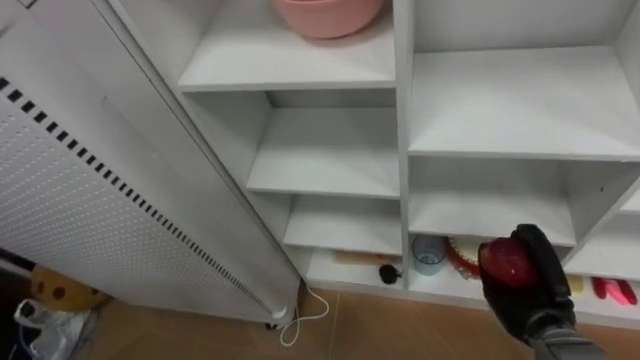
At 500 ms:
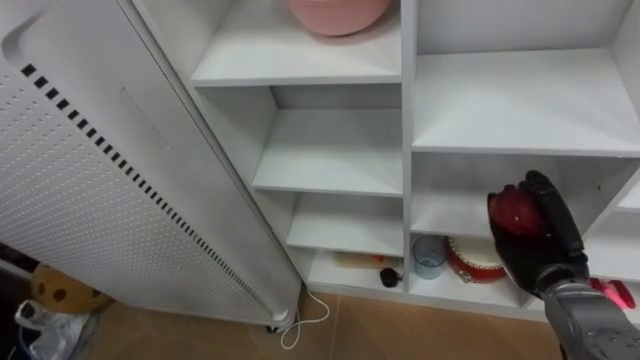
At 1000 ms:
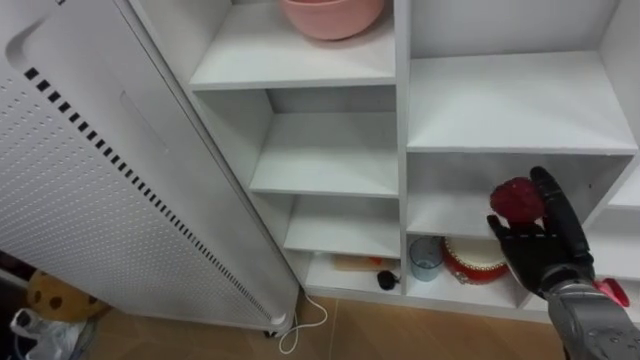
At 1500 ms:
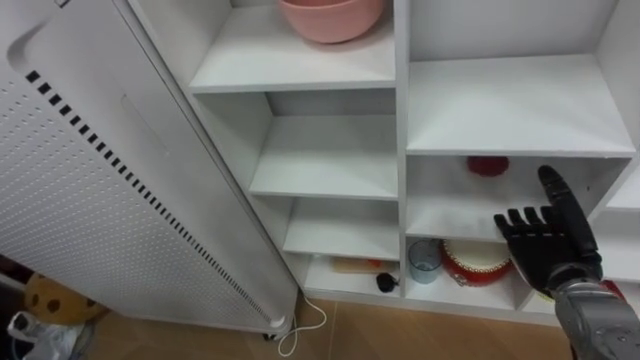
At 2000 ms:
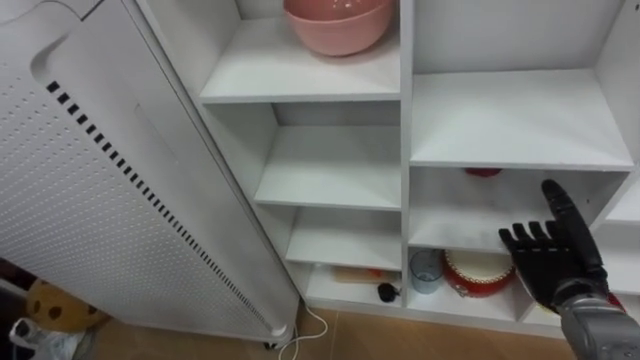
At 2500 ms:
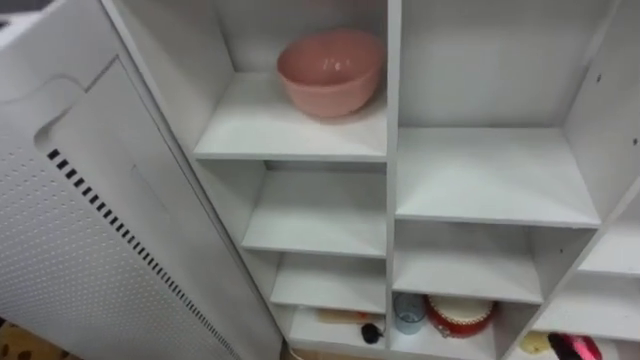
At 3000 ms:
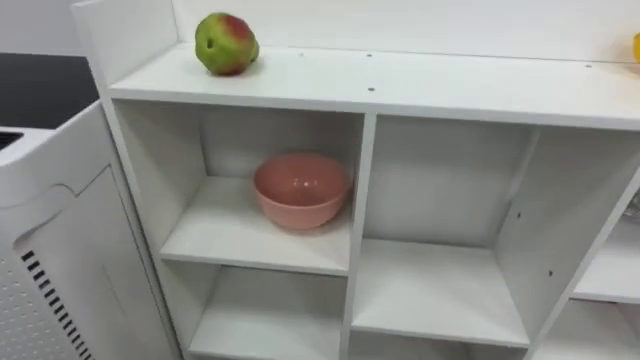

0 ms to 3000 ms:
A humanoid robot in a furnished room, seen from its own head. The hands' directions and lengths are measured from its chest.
Task of the whole recording: Put the apple in the cell in the second column from the left and the second row from the top.
0 ms to 1500 ms: The right hand goes some 5 cm upward, and opens.

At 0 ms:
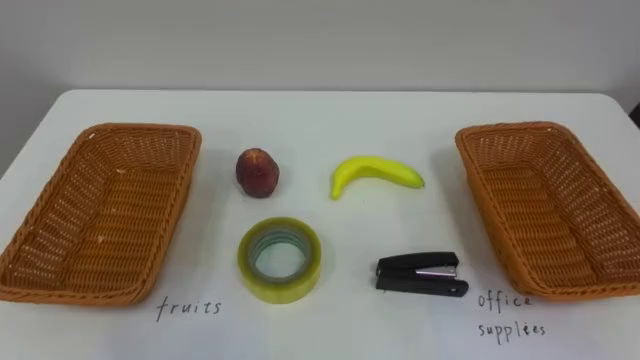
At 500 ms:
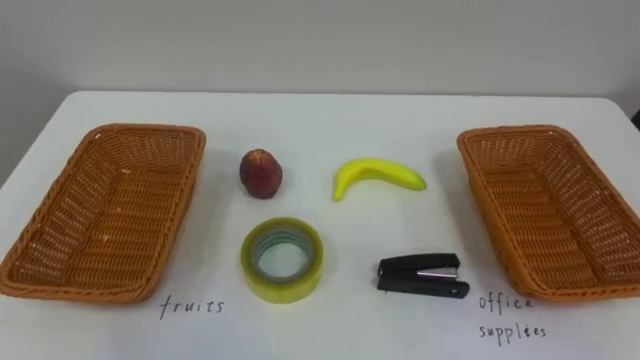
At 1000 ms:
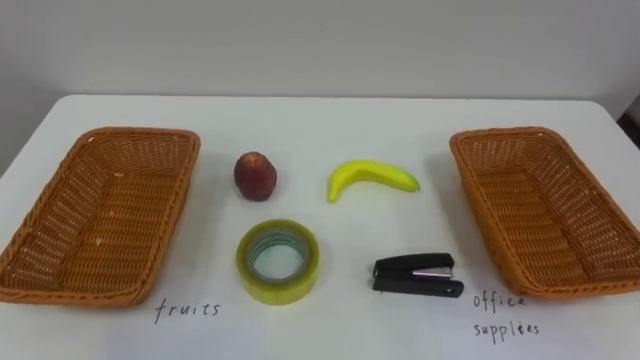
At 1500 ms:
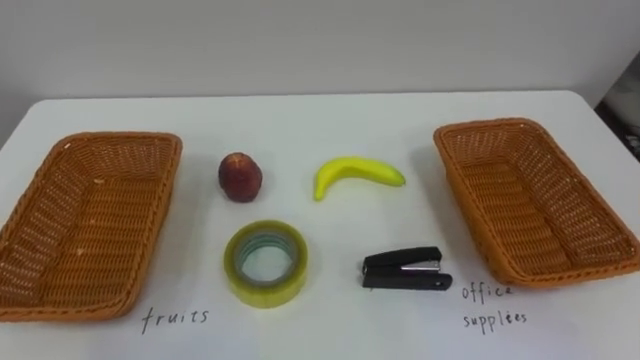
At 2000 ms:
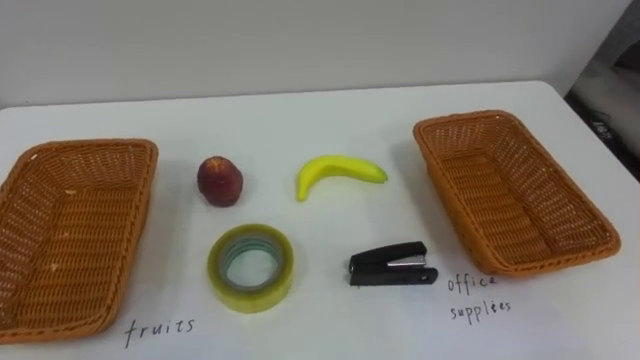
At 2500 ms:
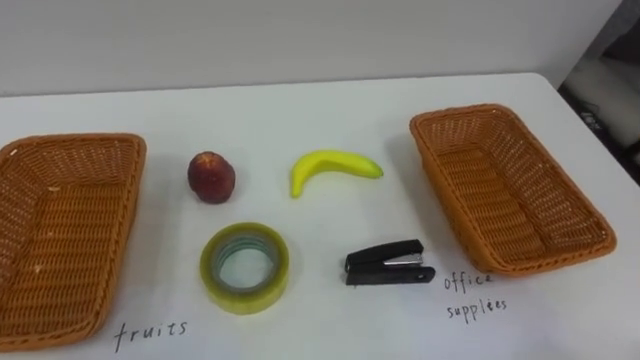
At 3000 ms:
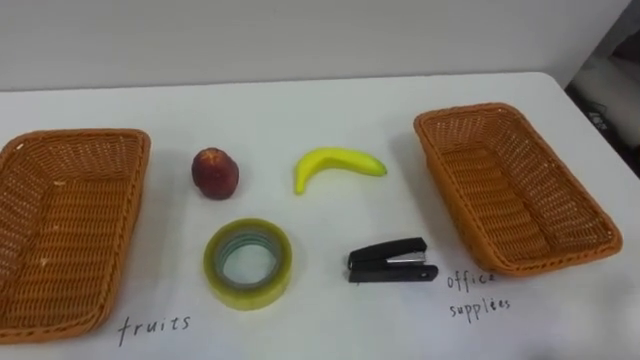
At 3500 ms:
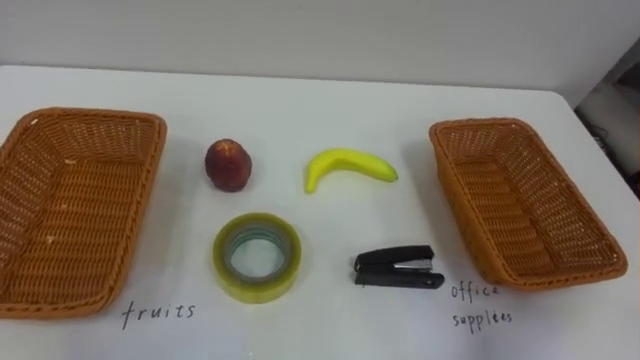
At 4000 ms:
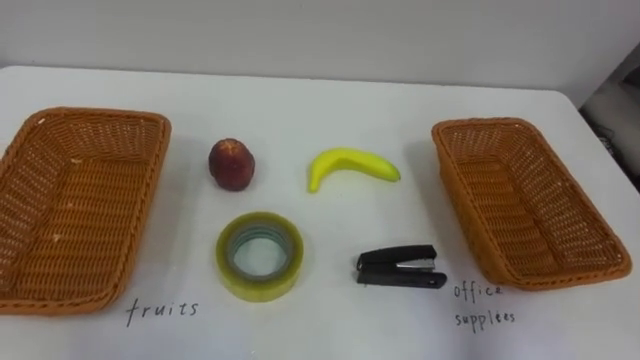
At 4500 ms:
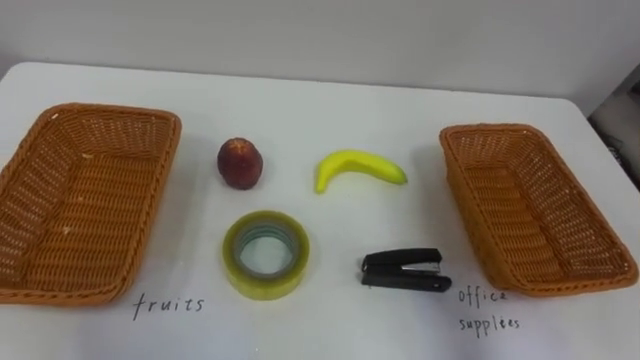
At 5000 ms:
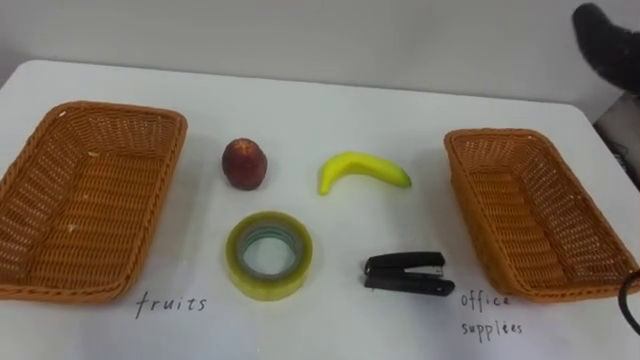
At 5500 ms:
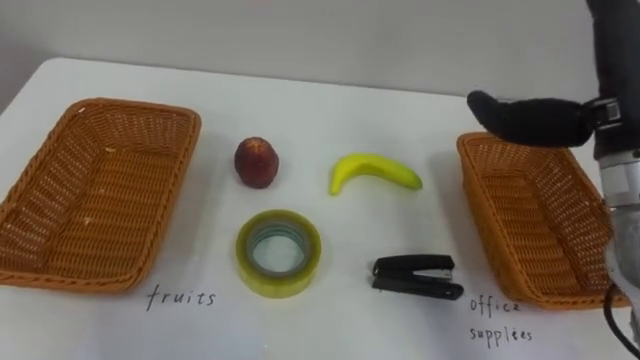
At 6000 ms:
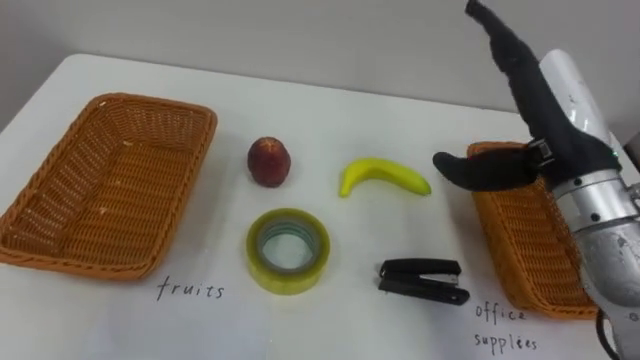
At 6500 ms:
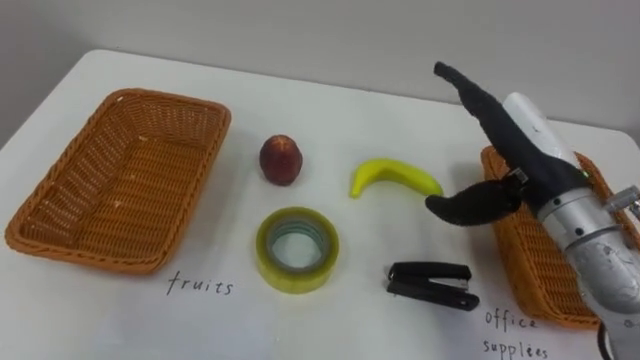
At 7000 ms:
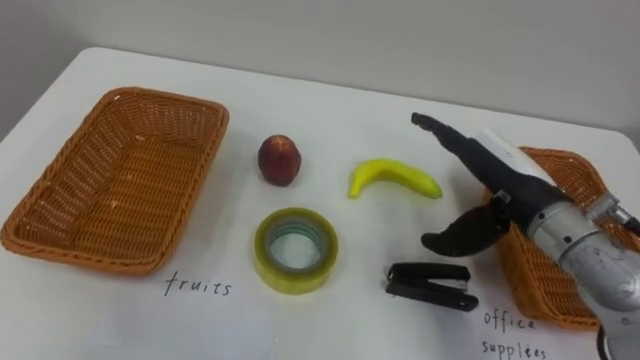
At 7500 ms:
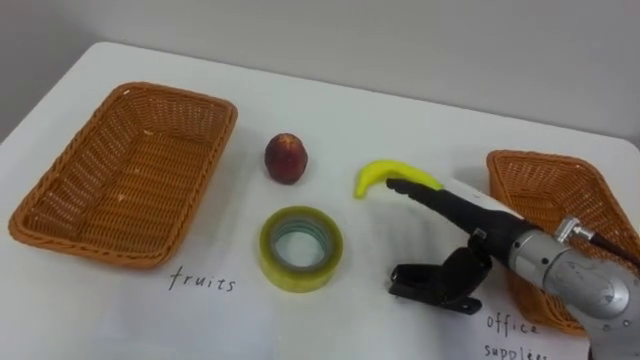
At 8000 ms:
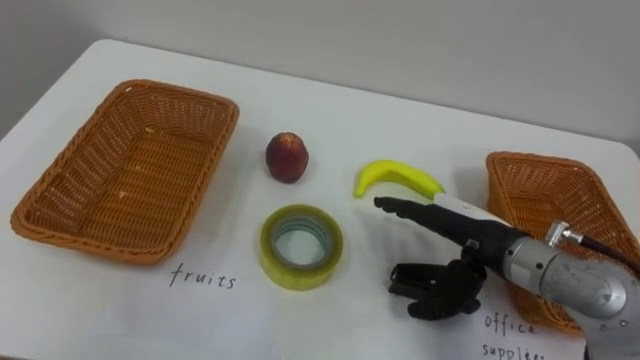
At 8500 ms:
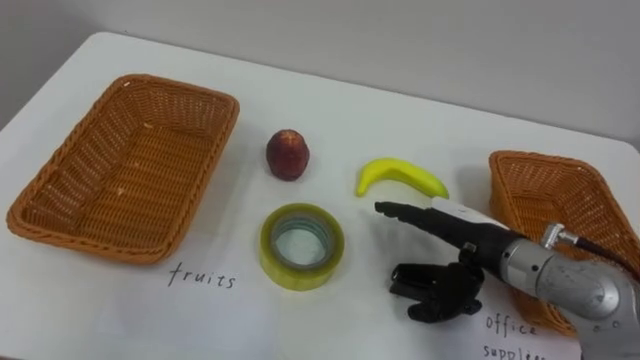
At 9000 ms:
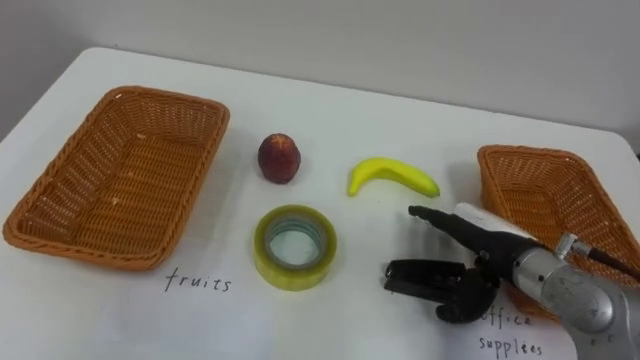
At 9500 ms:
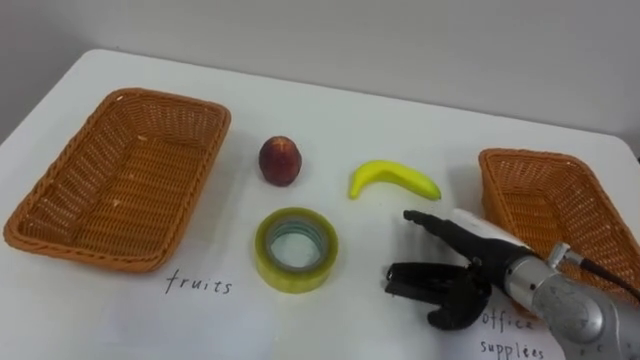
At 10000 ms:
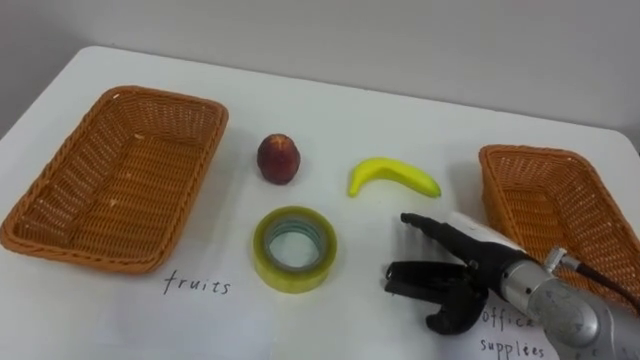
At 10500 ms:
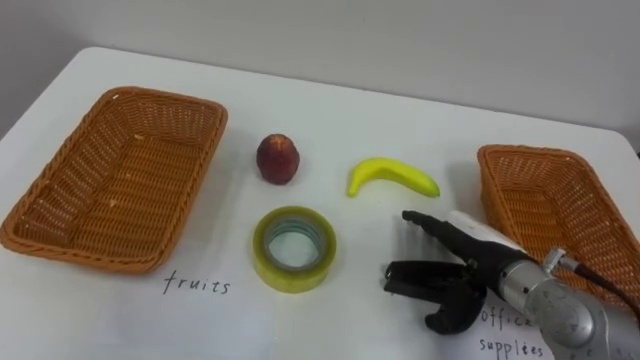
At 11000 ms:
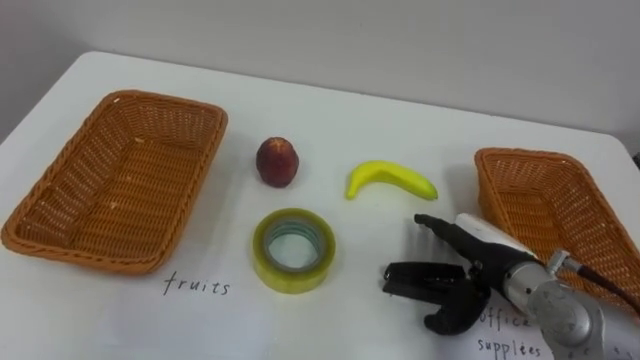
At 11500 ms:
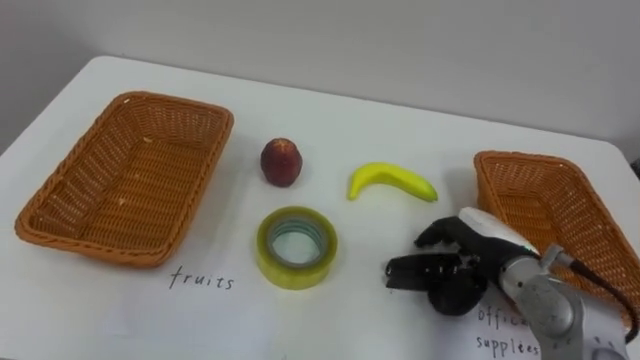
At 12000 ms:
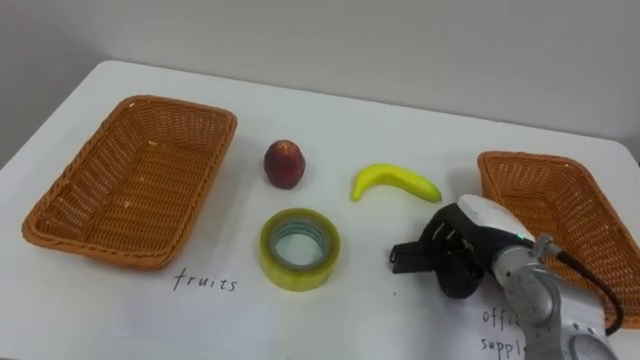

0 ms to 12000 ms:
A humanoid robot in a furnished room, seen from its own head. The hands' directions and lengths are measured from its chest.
Task of the whole recording: Separate the items on the table and place them into the two baskets.
6000 ms to 8000 ms: The right hand shifts roughly 15 cm downward.
10000 ms to 12000 ms: The right hand closes its fingers.

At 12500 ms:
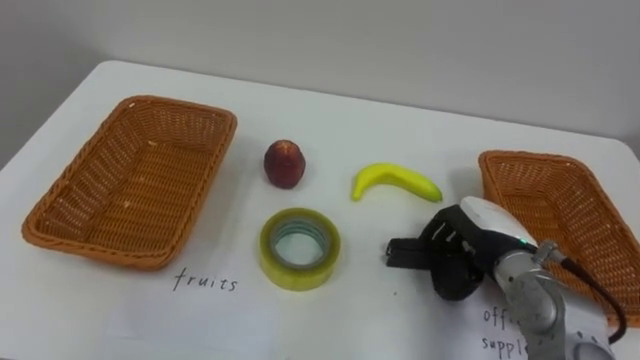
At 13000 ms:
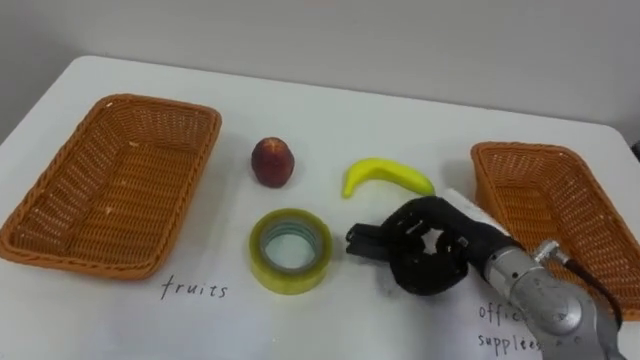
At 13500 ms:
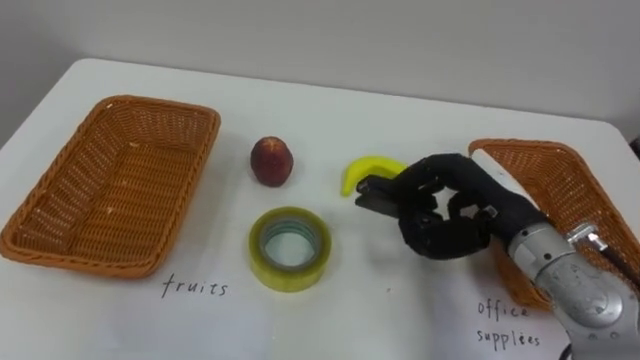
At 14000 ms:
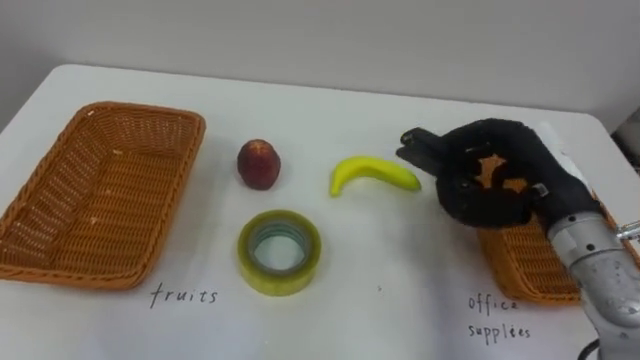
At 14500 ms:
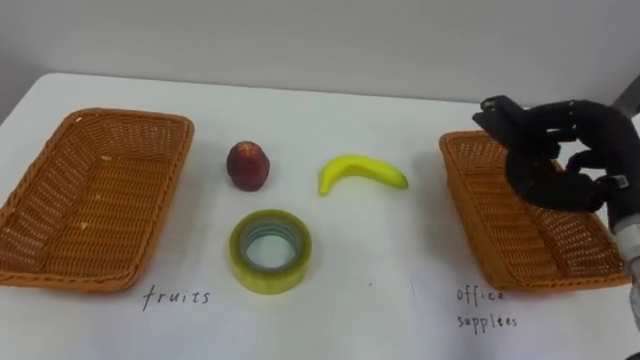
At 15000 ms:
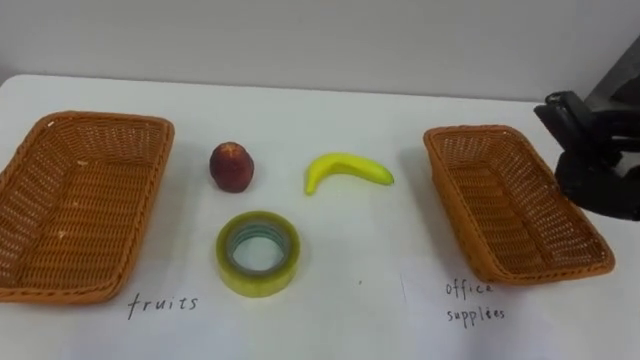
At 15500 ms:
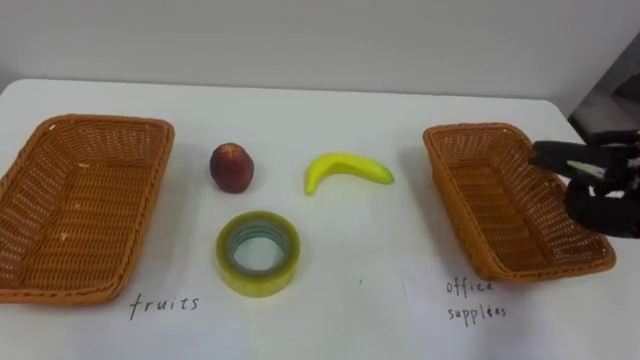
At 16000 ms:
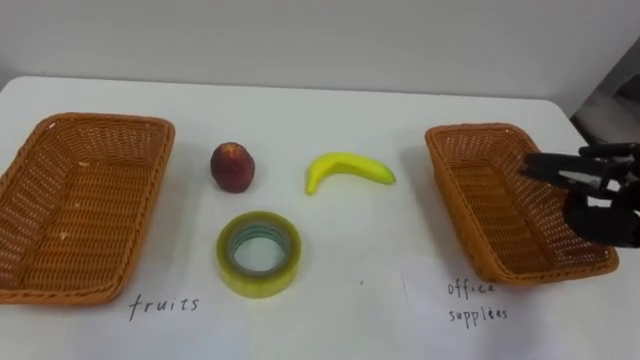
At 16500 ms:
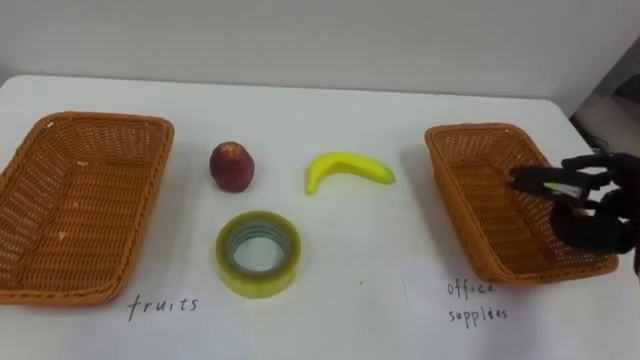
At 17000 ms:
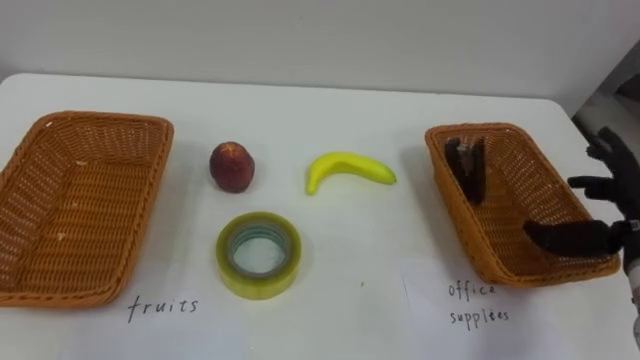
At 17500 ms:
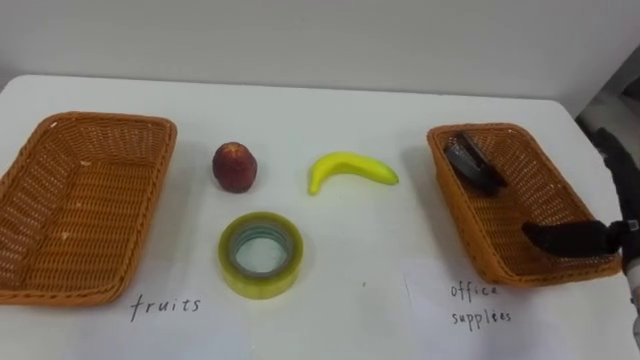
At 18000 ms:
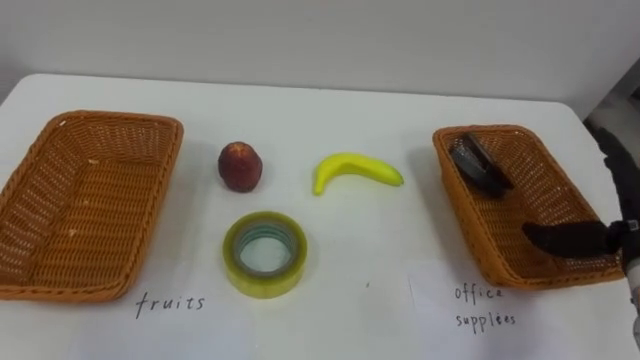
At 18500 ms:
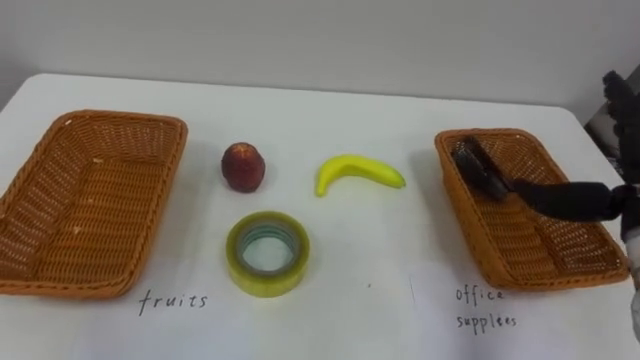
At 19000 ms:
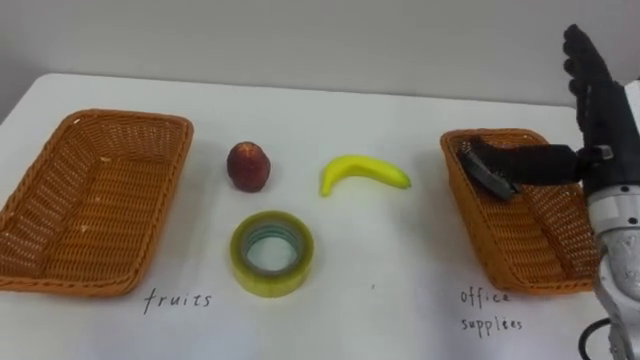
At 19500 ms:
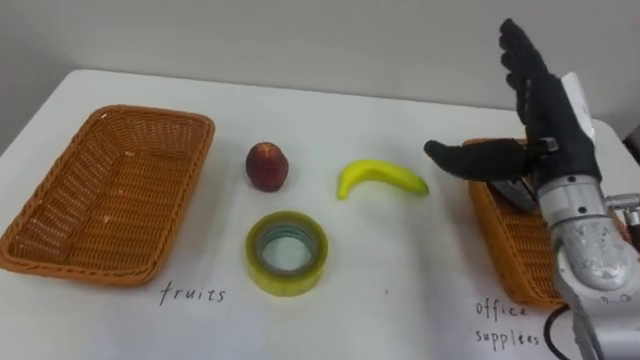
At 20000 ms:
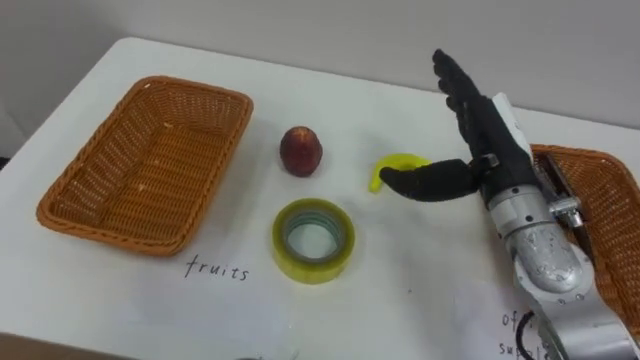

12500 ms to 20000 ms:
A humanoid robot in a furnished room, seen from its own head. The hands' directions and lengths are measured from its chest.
Task of the whole recording: Separate the items on the table and place them into the two baskets.
12500 ms to 14500 ms: The right hand moves upward and to the right, roughly 15 cm.
